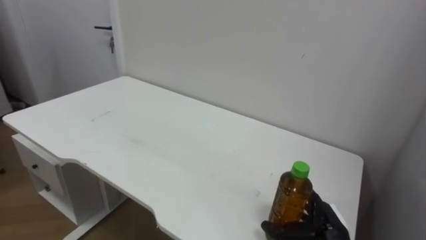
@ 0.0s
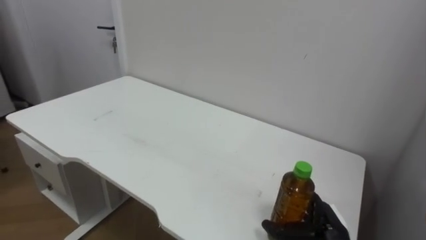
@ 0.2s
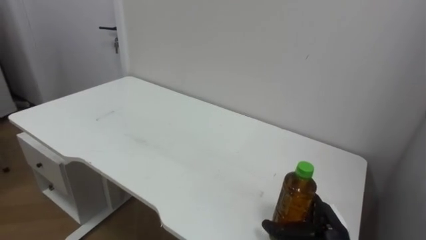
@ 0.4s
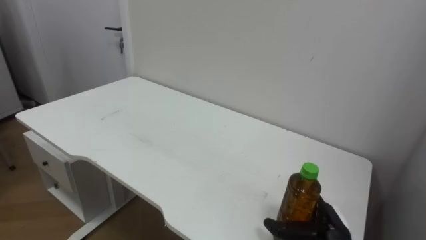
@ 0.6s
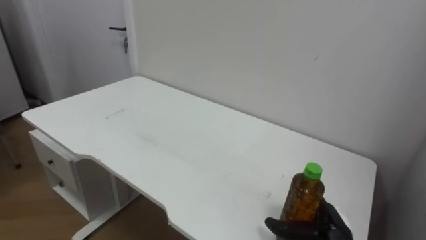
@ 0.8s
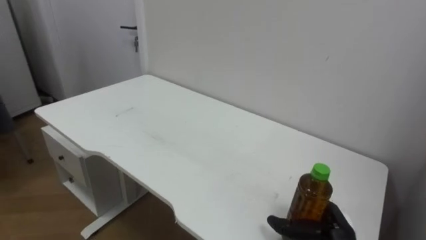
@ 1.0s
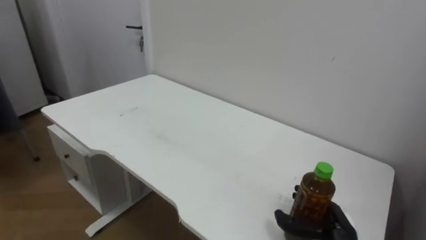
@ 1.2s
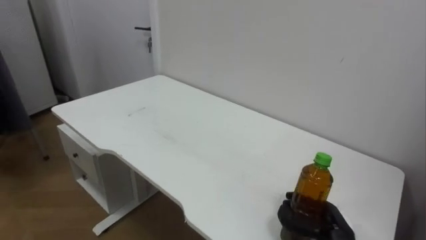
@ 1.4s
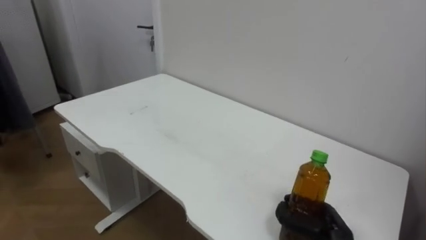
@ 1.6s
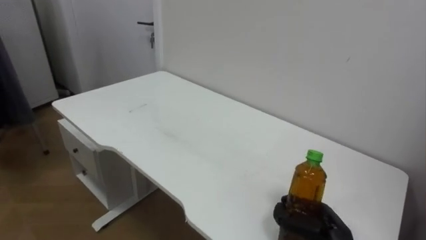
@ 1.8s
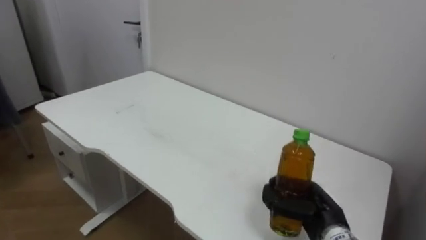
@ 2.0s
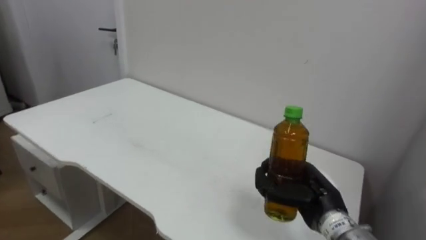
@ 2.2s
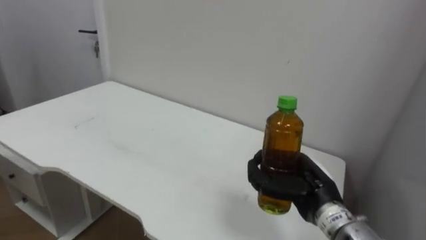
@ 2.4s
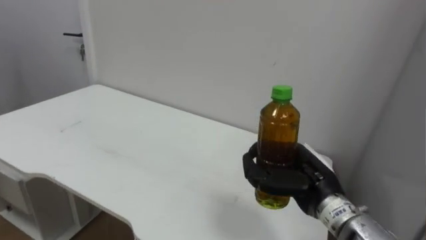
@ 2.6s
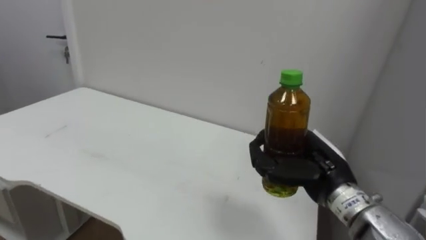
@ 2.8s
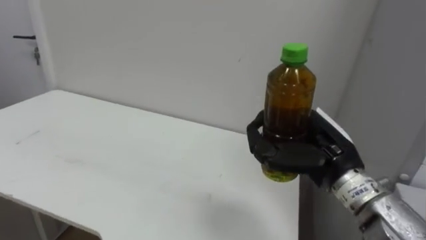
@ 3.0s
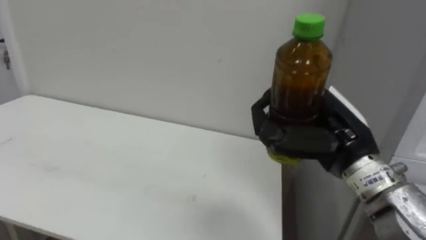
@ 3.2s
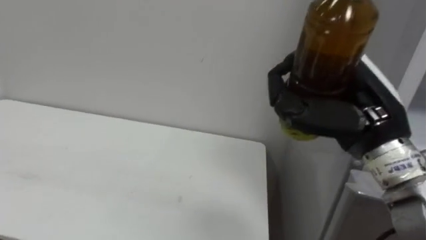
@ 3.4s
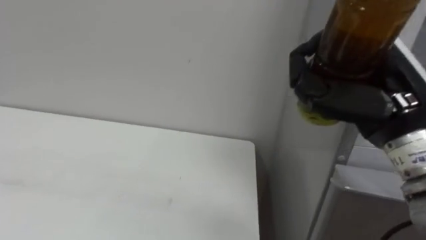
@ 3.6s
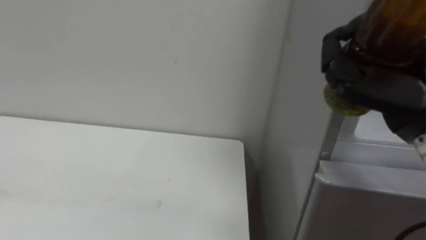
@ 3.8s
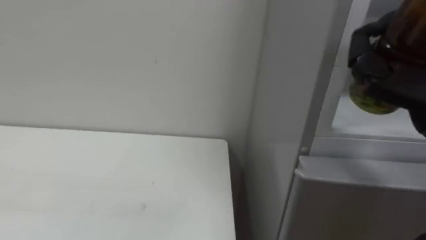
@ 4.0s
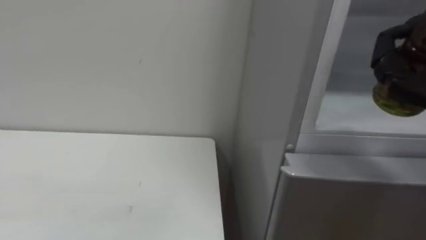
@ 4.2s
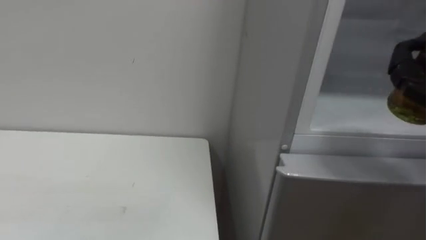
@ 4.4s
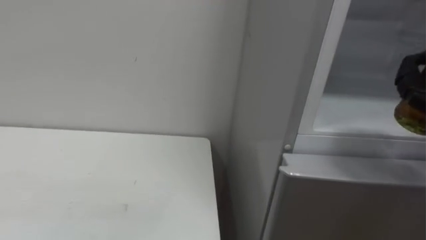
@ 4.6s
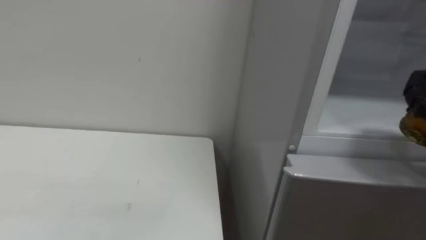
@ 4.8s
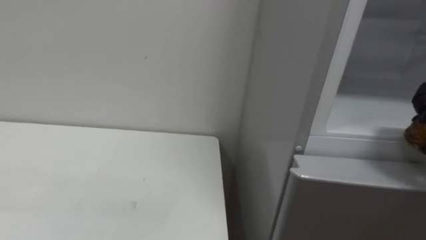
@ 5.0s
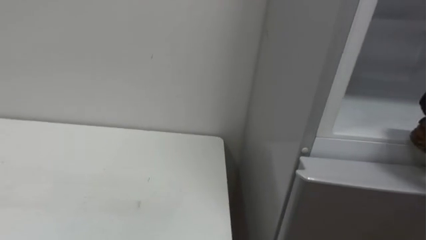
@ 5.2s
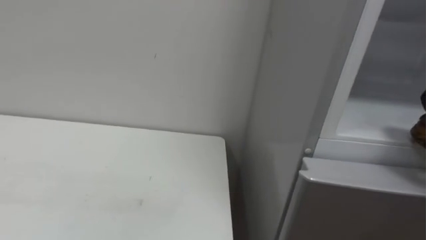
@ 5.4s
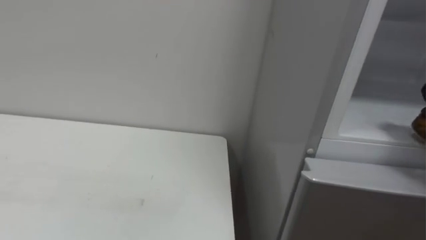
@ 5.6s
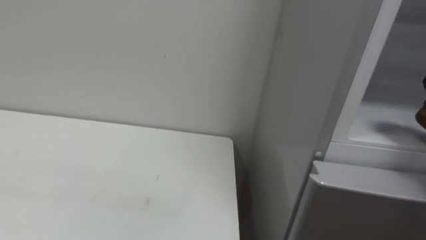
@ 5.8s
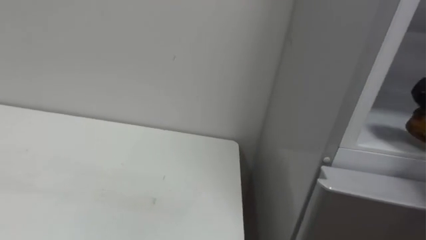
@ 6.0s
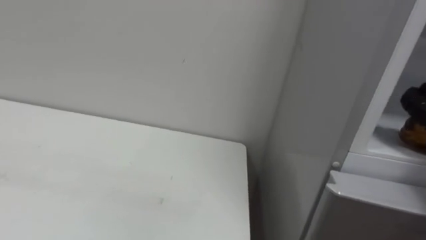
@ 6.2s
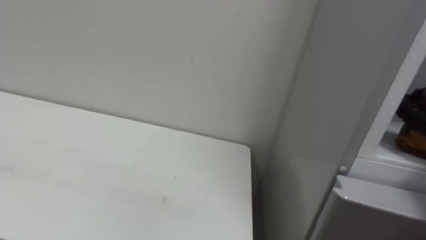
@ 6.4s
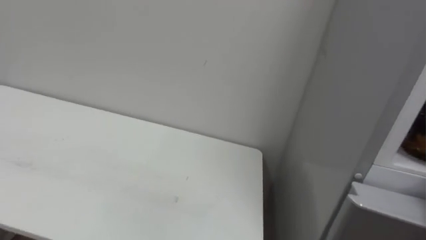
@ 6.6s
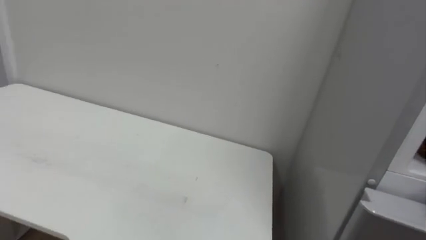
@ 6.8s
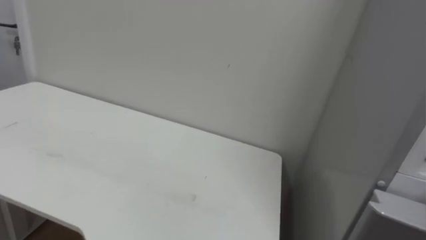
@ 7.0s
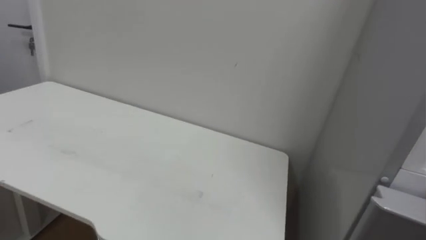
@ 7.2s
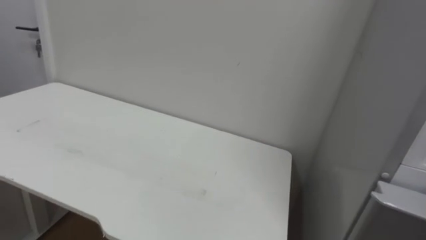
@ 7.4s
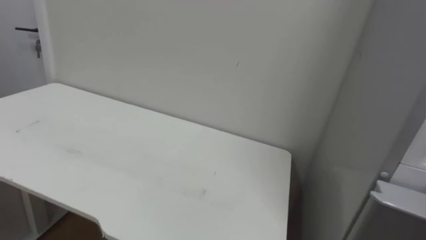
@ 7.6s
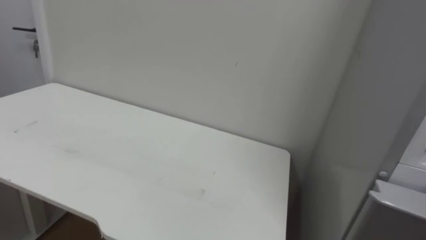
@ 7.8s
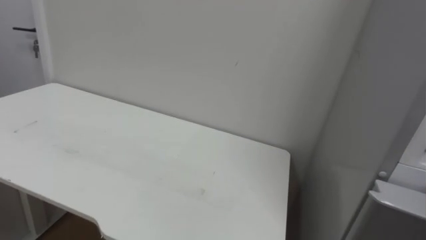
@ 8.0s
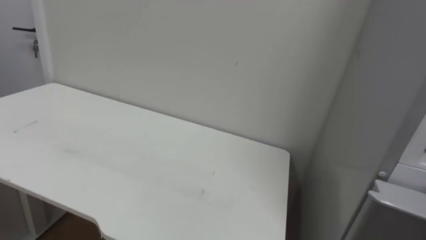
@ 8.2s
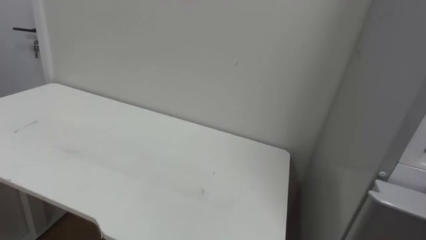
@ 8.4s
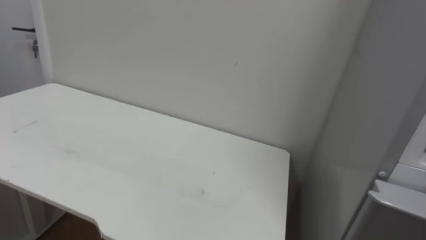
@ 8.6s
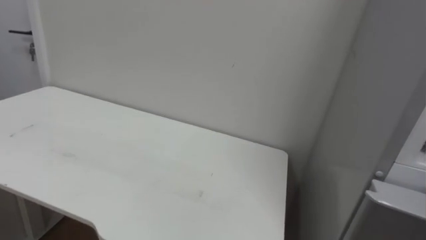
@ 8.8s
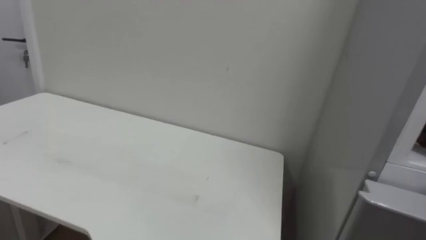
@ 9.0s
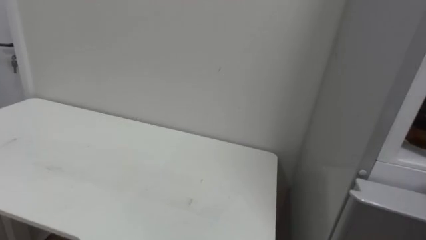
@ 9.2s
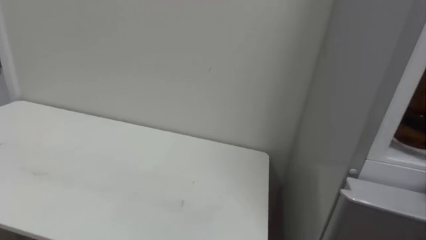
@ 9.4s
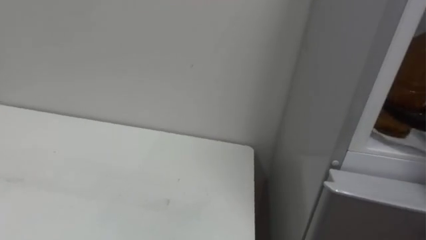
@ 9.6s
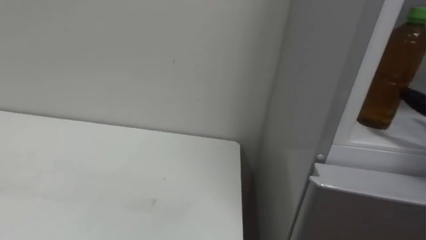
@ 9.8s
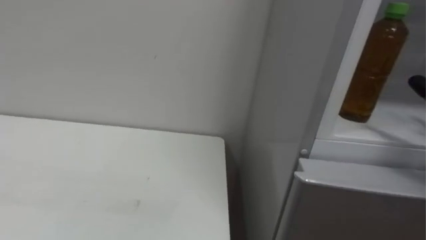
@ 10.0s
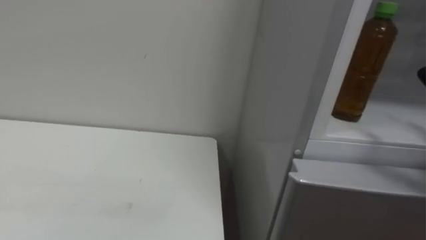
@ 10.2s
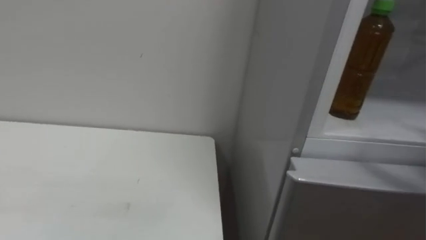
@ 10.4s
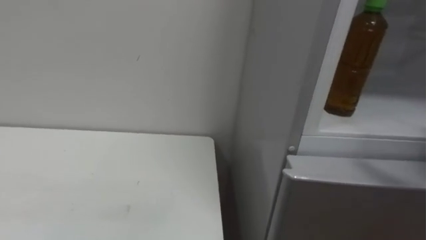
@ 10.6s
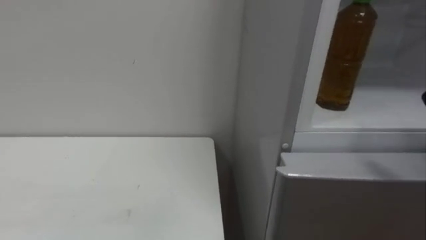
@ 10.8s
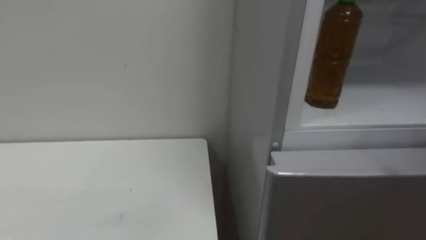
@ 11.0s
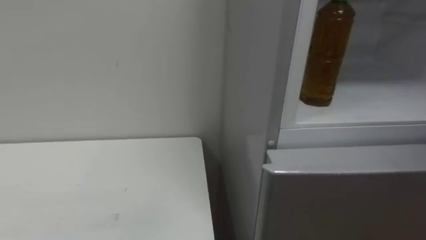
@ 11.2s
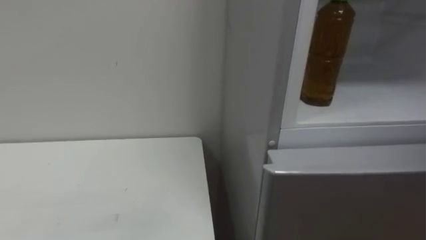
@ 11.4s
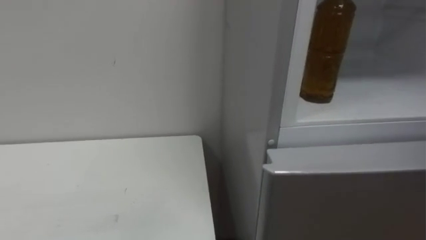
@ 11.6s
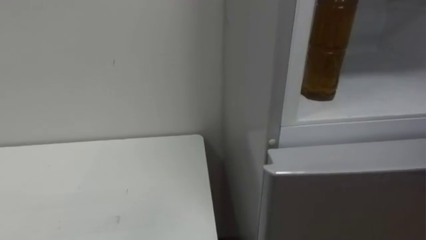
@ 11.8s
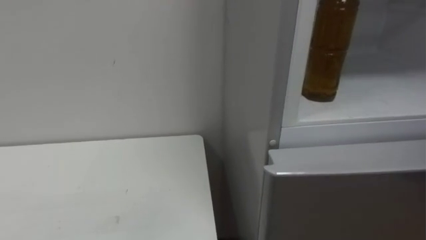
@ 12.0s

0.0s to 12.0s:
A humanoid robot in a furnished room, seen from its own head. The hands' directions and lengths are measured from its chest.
Task of the whole recording: Open the upper refrigerator door, put the drink from the table into the refrigerator, and then close the refrigerator door.
0.0s to 1.6s: The right hand closes up.
1.6s to 3.0s: The right hand travels upward by about 20 cm.

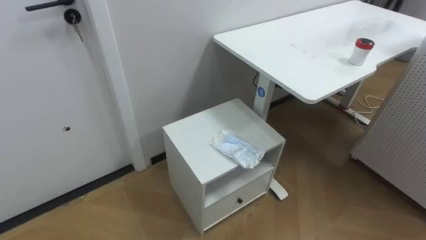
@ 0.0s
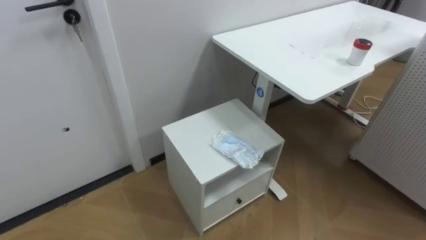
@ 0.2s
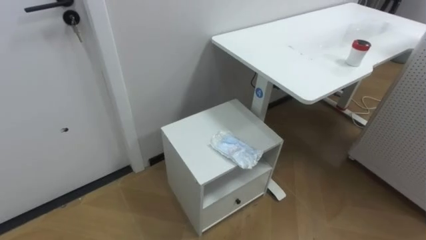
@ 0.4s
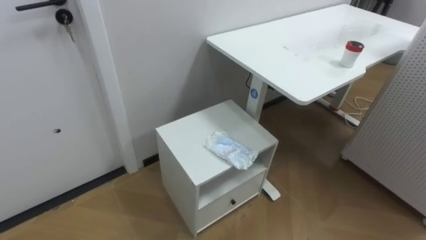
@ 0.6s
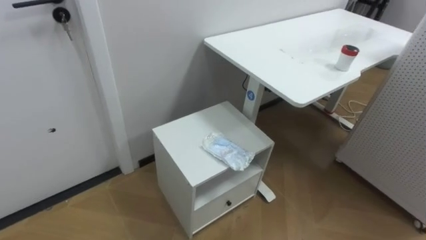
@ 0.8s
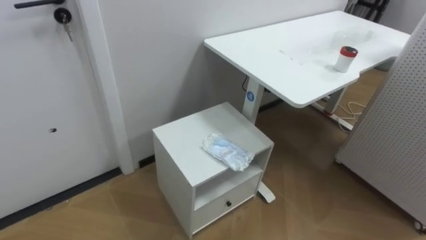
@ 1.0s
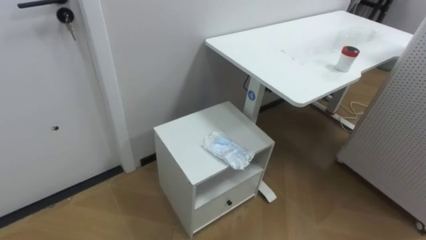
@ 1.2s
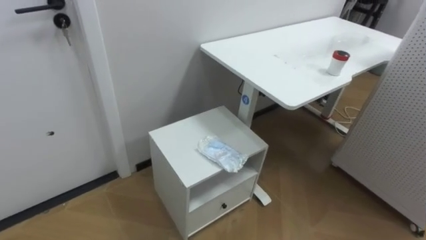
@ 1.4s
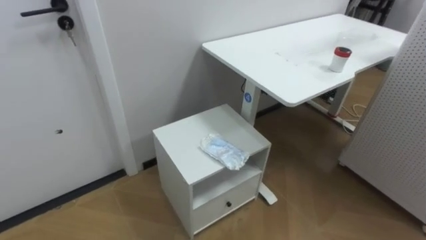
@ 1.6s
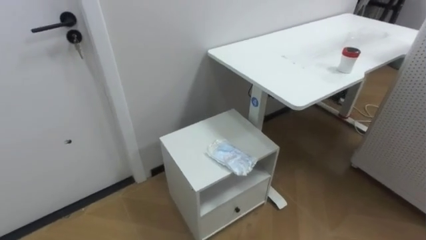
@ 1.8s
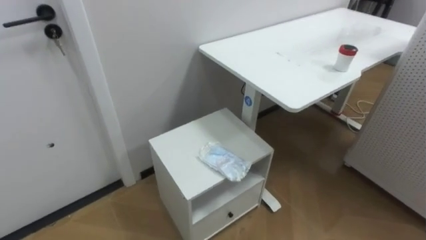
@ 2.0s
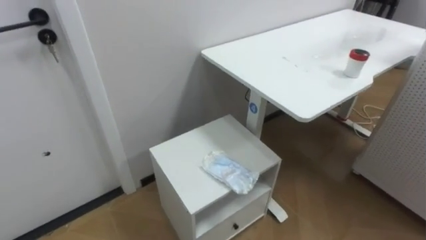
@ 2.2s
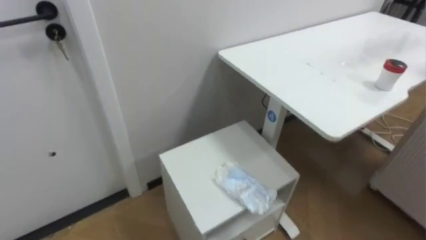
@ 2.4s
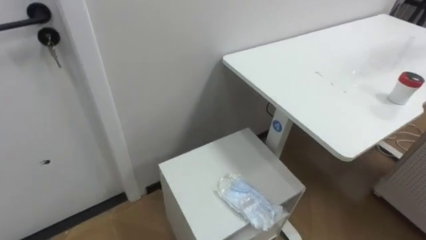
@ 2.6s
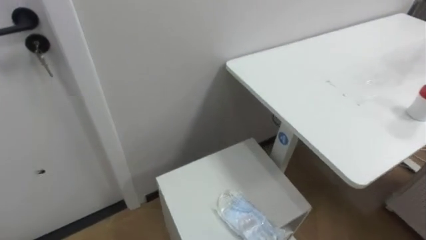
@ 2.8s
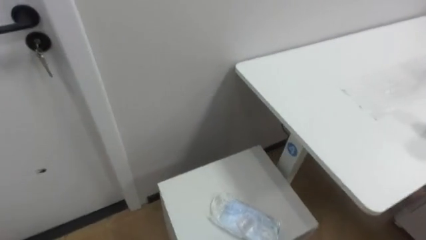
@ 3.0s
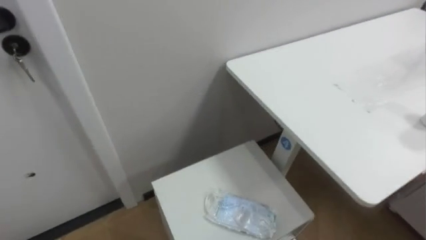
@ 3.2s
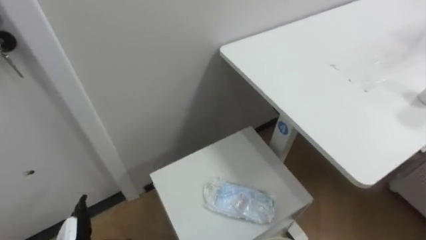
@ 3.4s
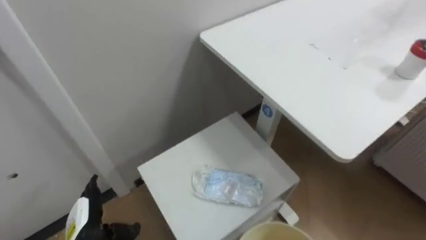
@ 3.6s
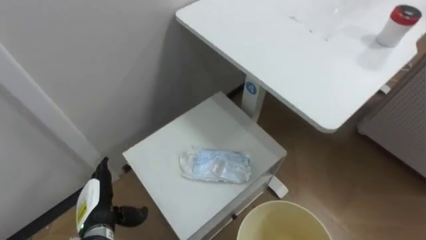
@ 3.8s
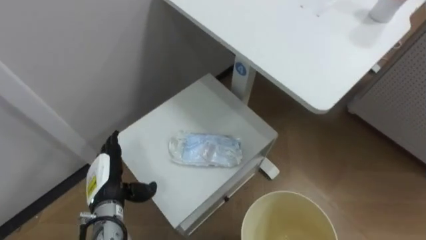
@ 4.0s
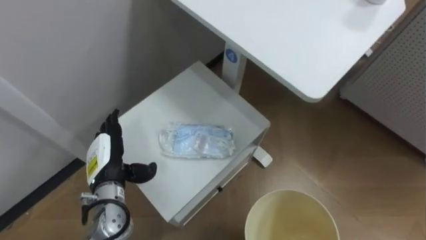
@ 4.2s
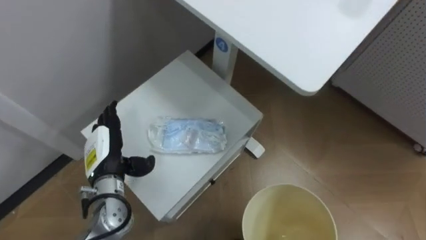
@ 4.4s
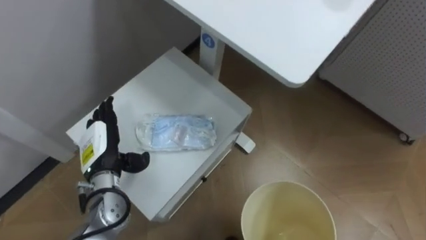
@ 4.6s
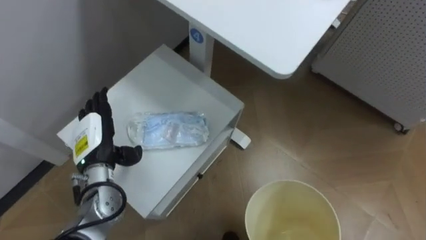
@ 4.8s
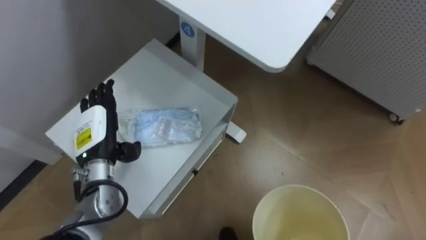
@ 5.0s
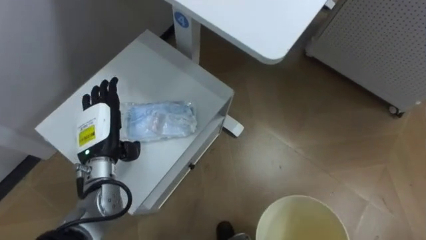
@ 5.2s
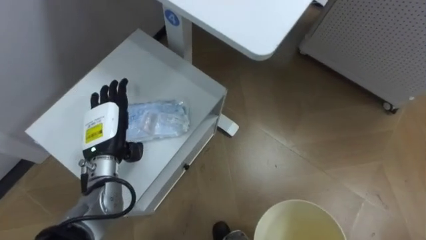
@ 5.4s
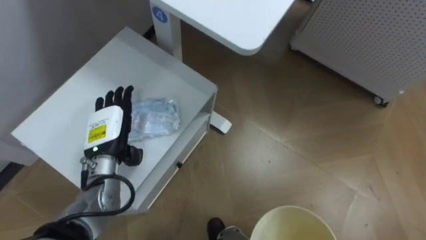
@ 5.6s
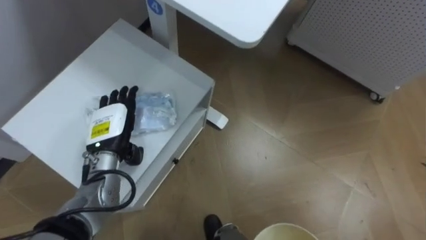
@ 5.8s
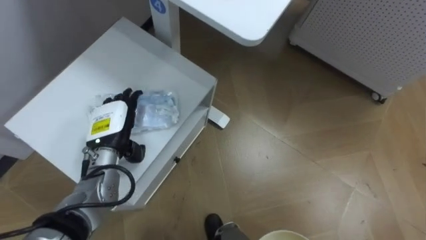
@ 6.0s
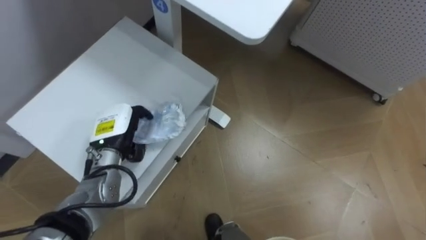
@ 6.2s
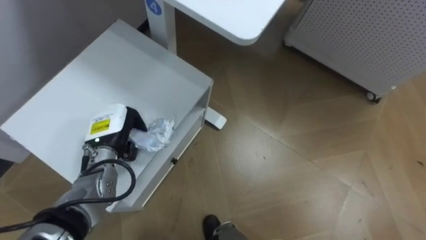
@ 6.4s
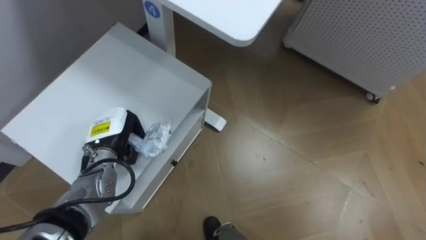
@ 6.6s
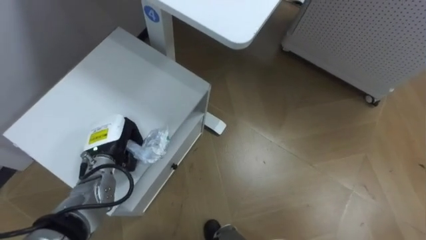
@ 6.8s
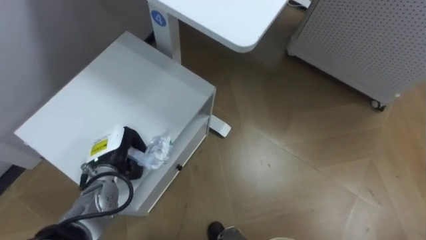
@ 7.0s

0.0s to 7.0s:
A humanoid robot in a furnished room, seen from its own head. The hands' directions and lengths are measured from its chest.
Task of the whole recording: Pick up the light blue package, the candy box, and the dark blue package separately, and put them into the trash can held in your right hand.
4.2s to 5.6s: The left hand ends up some 5 cm from where it was.
5.6s to 7.0s: The left hand closes its fingers.
